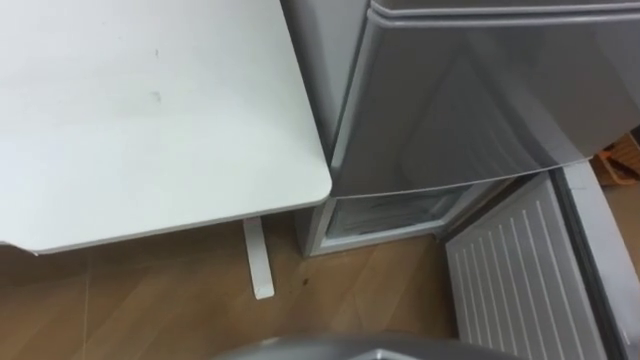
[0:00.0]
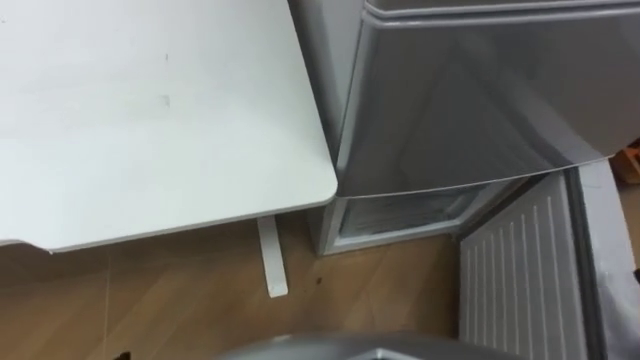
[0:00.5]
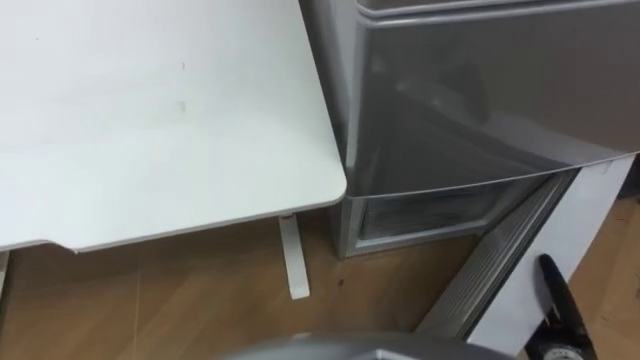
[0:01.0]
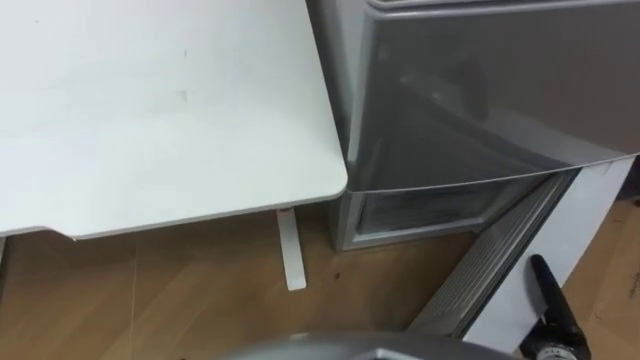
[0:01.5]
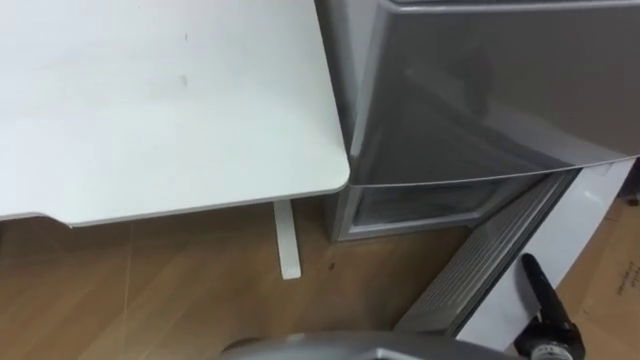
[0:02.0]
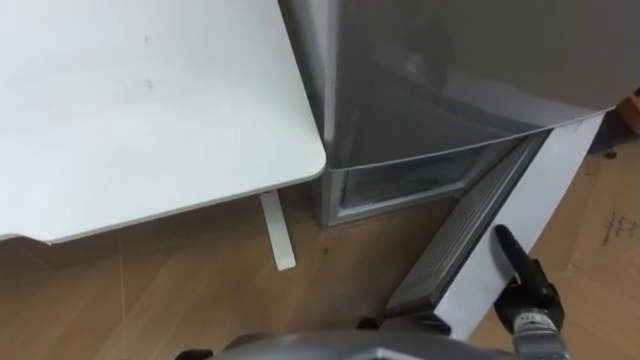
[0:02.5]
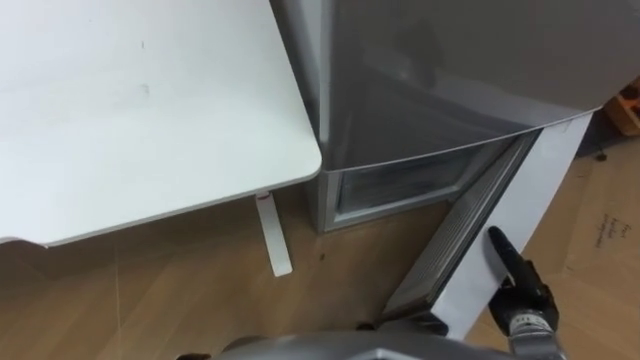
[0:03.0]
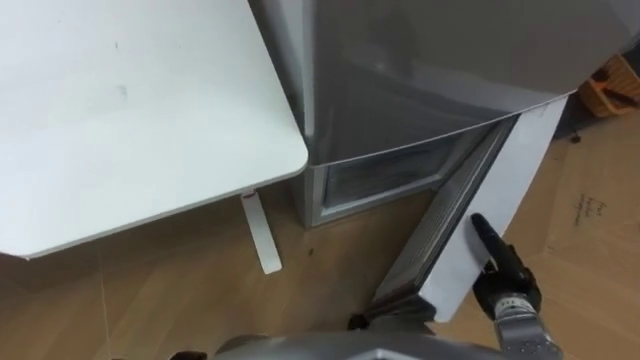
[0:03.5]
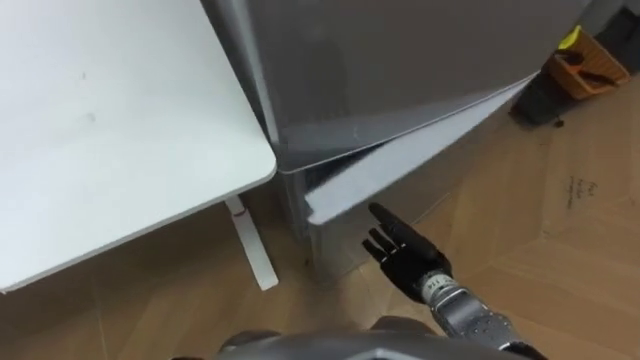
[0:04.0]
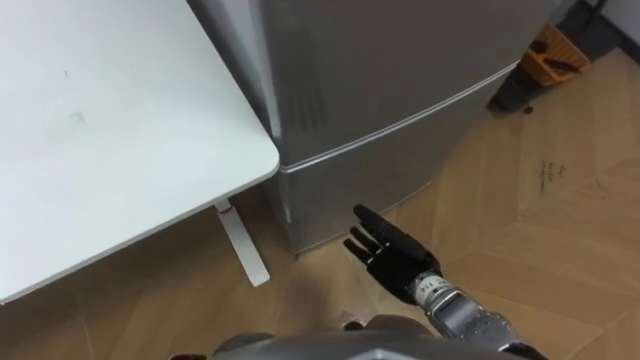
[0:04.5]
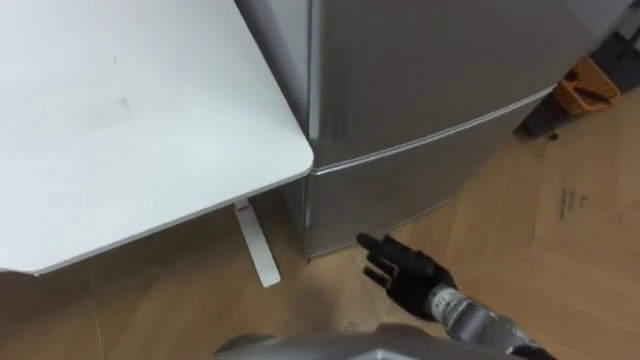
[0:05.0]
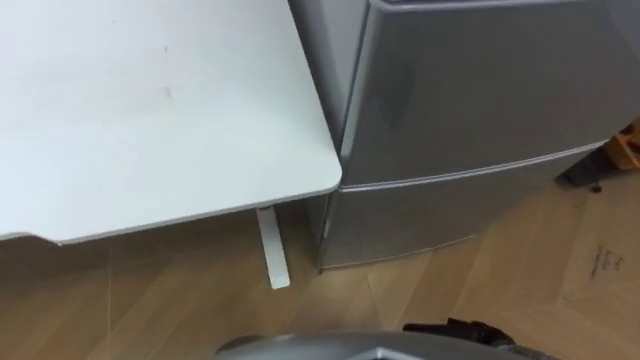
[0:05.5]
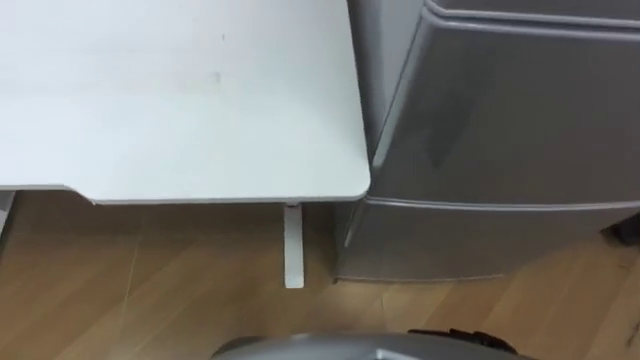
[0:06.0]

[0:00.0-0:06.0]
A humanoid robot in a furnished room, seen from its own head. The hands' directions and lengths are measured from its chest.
Task of the whole recording: Place the drink on the table on the bottom shelf of the refrigerator, then close the drawer and the refrigerator door.
2.0 to 4.0 s: The robot turns to its right by about 20 degrees. The right hand heads to the left and forward, covering some 20 cm.
4.0 to 6.0 s: The robot faces some 25 degrees further to its left.

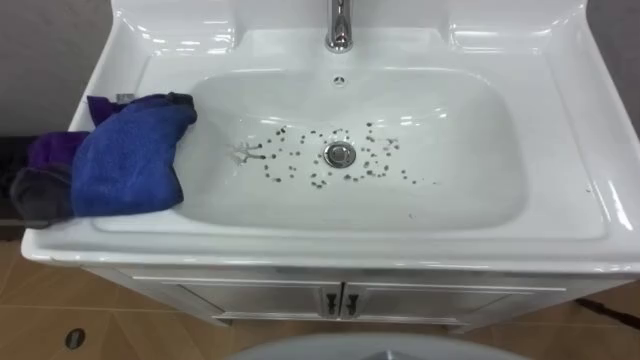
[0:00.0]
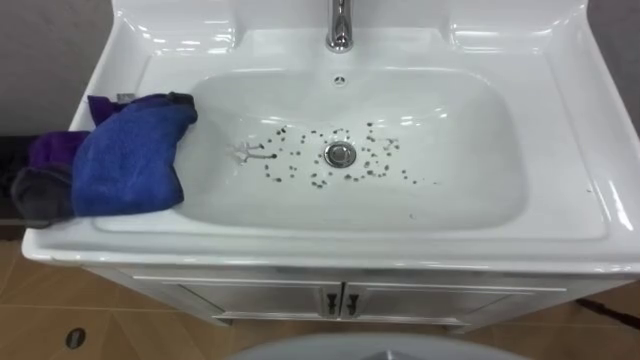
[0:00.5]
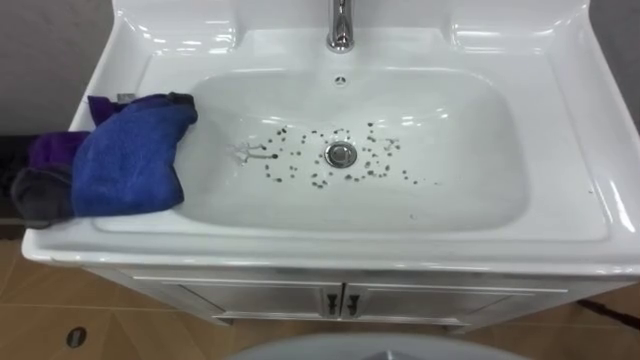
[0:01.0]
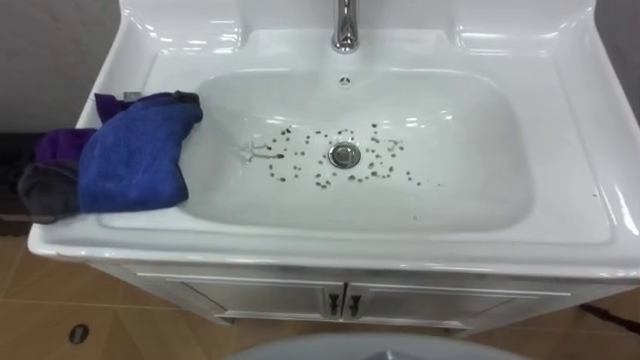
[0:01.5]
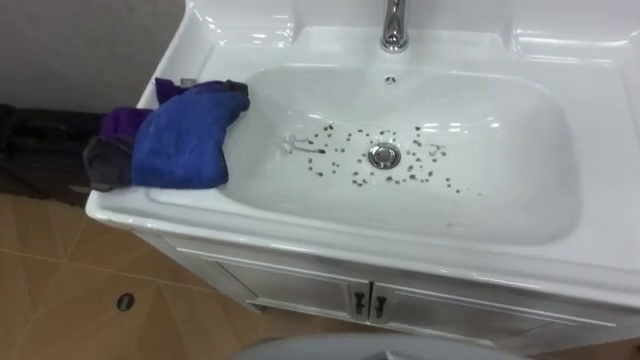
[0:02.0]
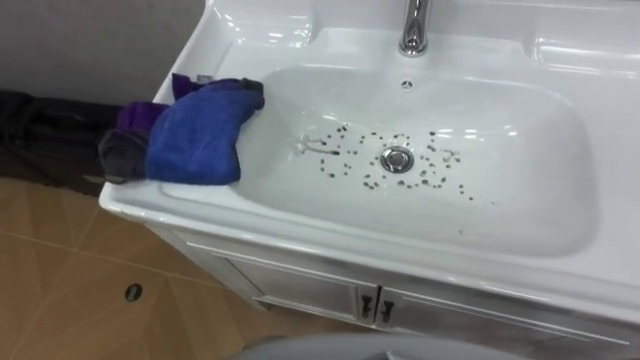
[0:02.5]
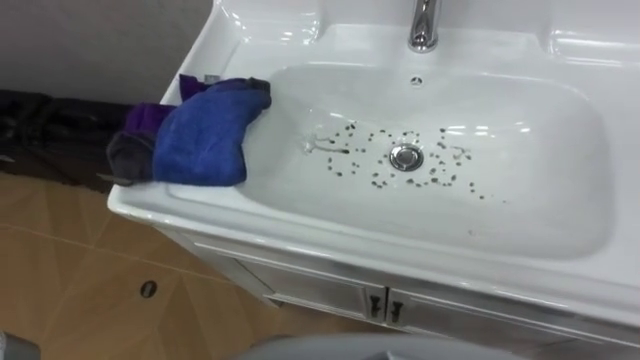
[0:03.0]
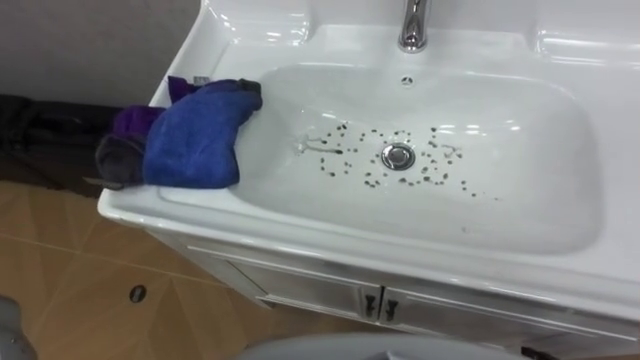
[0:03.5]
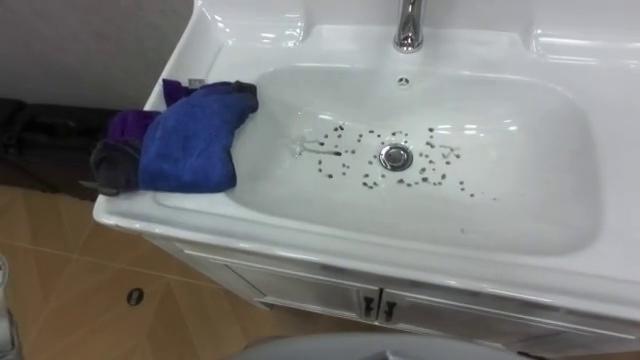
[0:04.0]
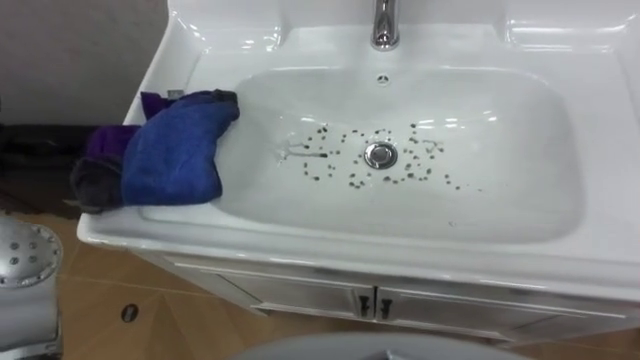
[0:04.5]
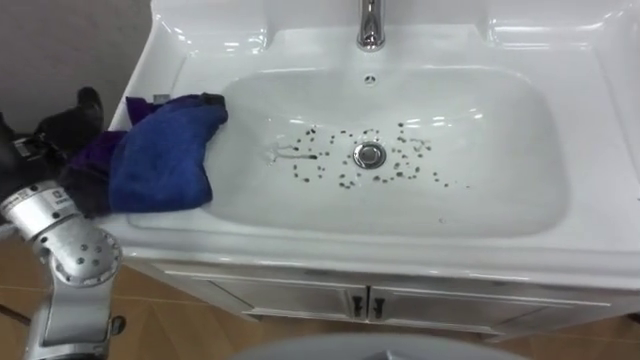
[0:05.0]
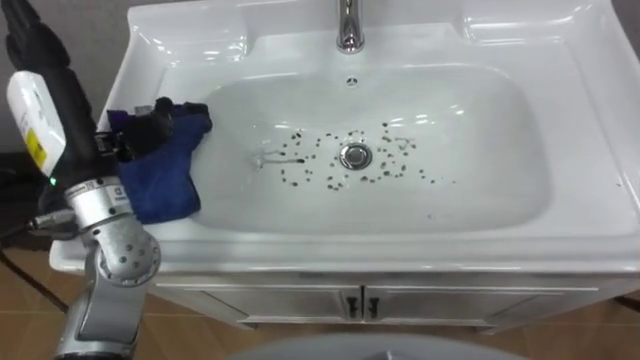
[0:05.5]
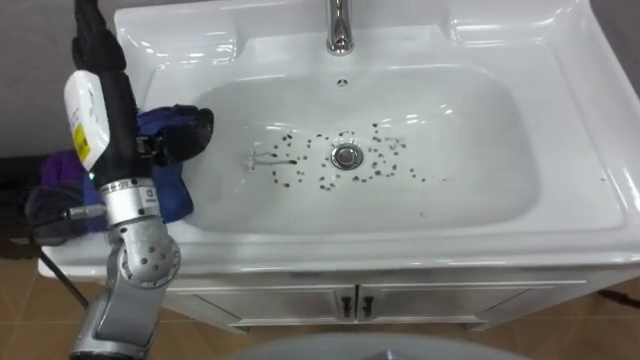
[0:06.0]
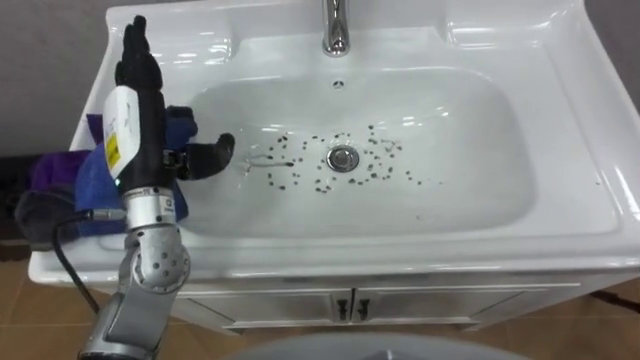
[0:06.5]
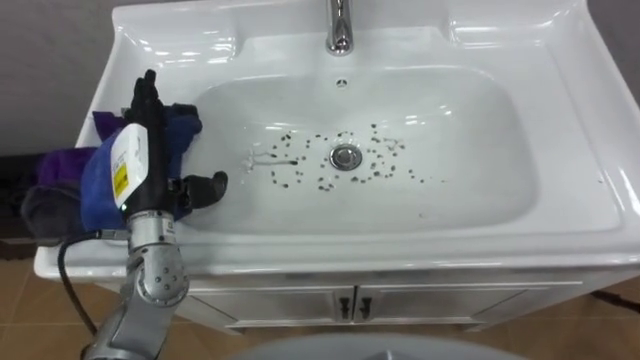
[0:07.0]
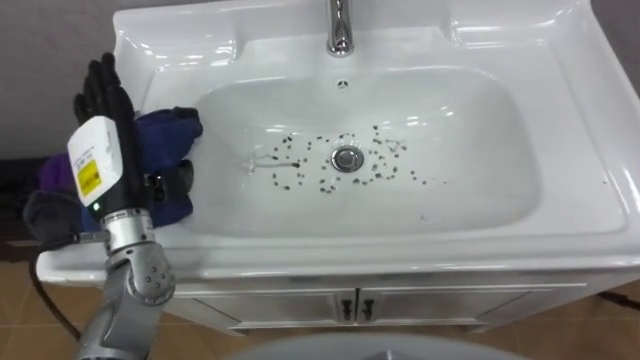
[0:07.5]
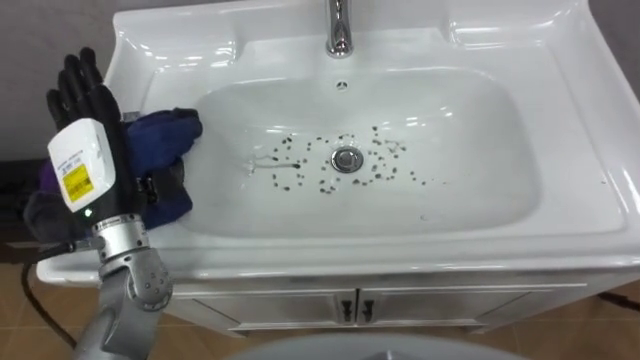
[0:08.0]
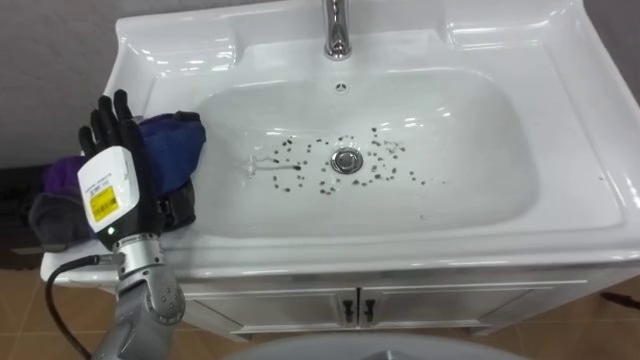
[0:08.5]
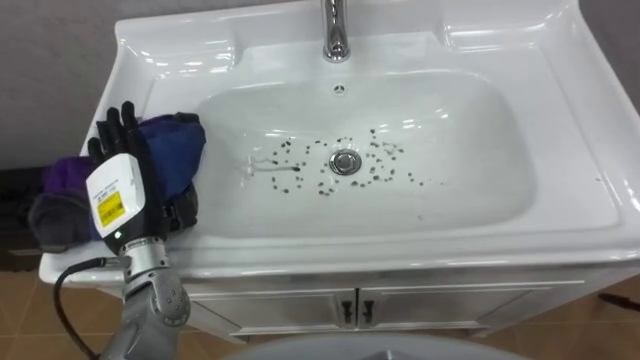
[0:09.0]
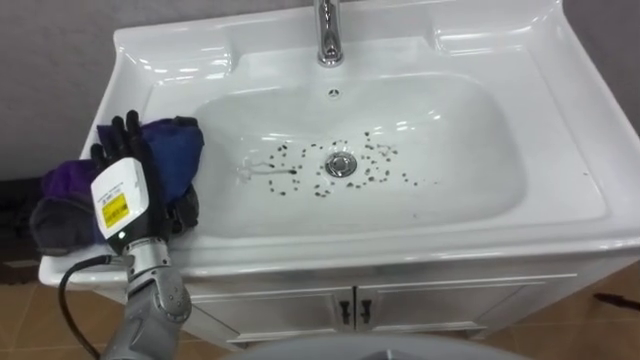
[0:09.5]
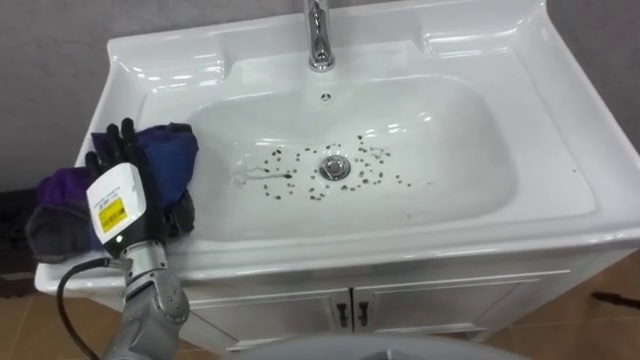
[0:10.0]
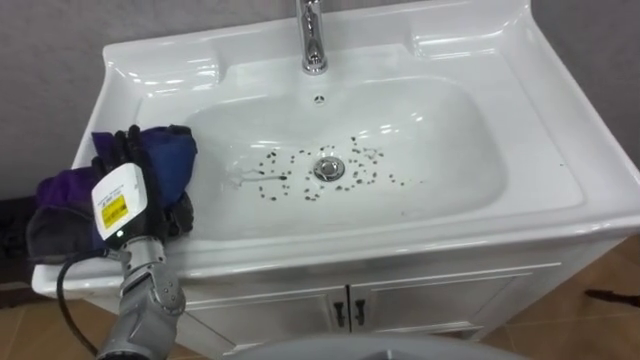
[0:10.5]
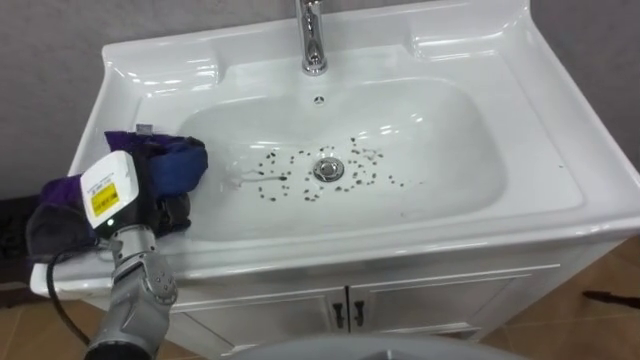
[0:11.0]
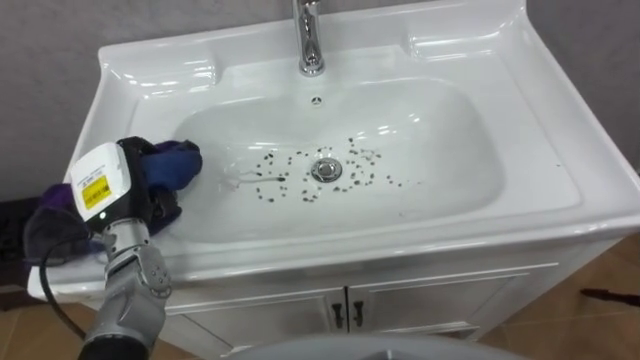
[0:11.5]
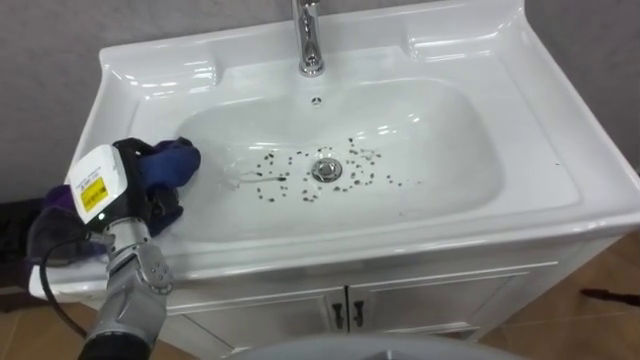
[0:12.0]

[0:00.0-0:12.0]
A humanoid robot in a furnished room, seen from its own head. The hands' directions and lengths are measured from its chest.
Task of the whole recording: Use the cloth on the right to wipe away the black stain in the sink.
6.0 to 8.0 s: The left hand goes some 5 cm downward.
8.0 to 10.0 s: The left hand travels downward by roughly 10 cm.
10.0 to 12.0 s: The left hand closes up.

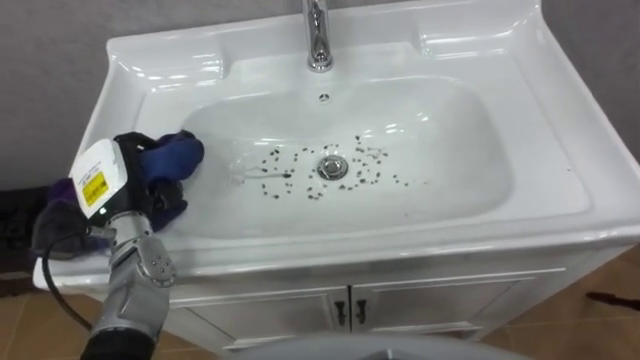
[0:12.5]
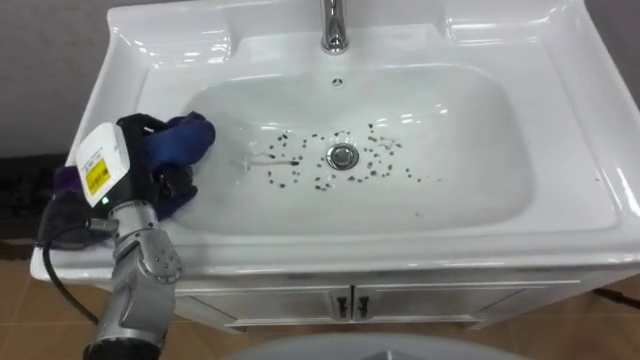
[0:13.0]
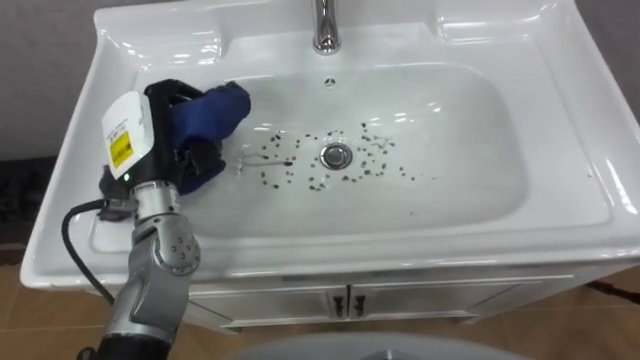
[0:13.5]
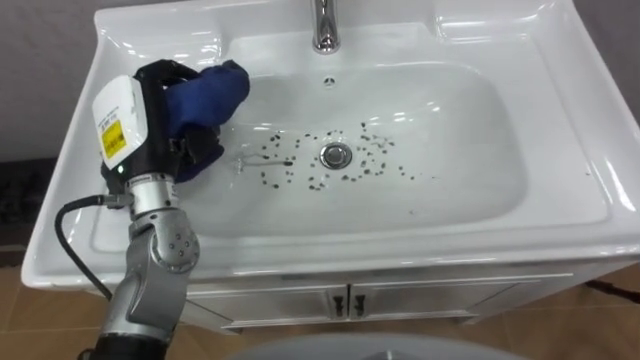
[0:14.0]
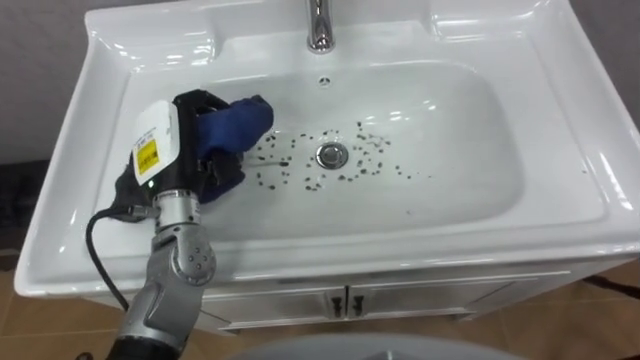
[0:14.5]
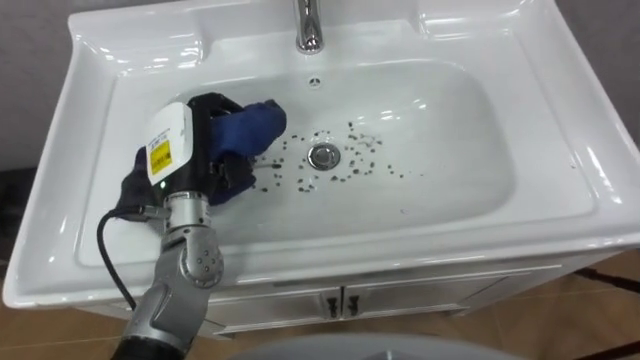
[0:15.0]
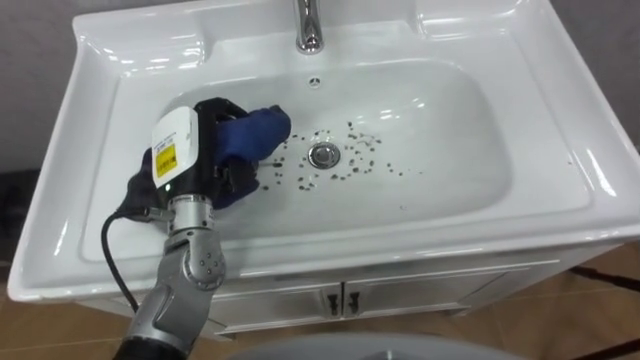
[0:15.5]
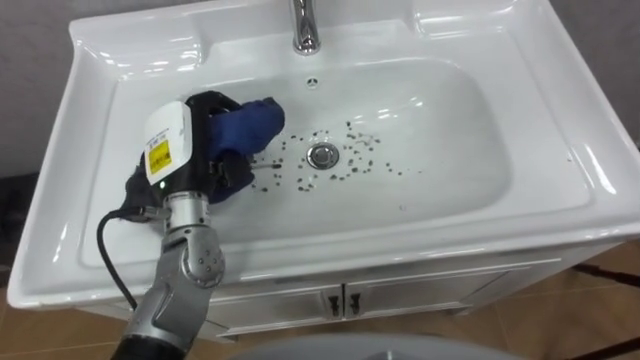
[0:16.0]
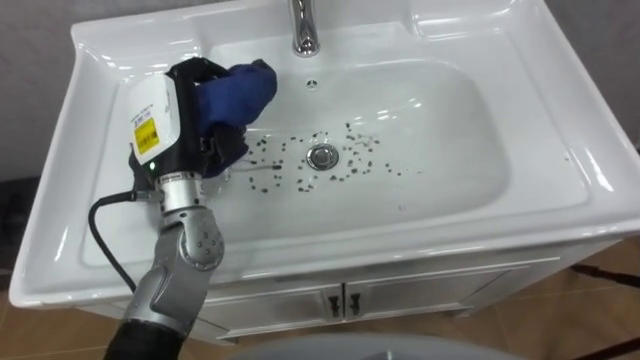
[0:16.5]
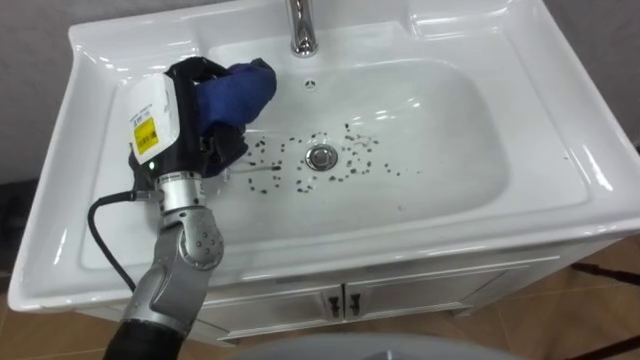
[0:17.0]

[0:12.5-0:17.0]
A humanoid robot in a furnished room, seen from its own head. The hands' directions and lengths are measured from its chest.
Task of the whole recording: Use the cloth on the right to wipe away the black stain in the sink.
12.5 to 14.5 s: The left hand shifts some 10 cm to the right and upward.
